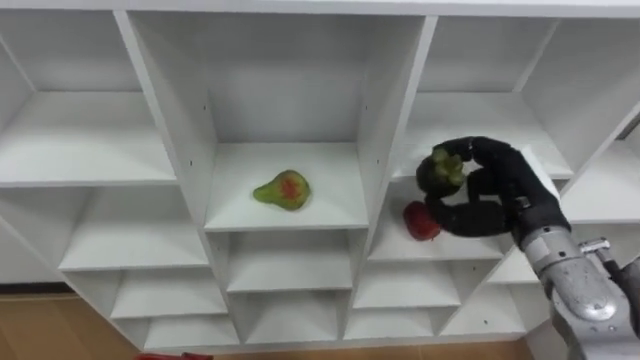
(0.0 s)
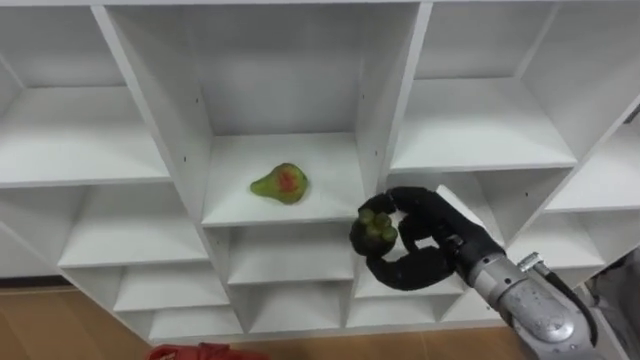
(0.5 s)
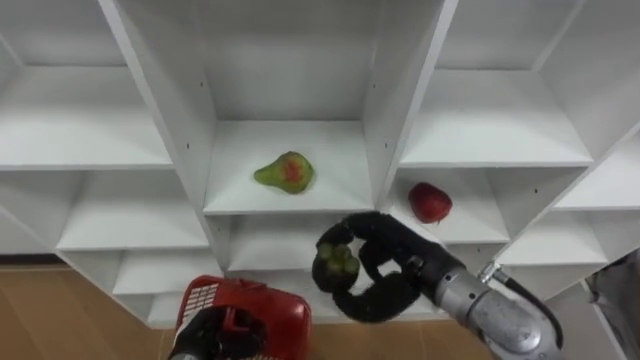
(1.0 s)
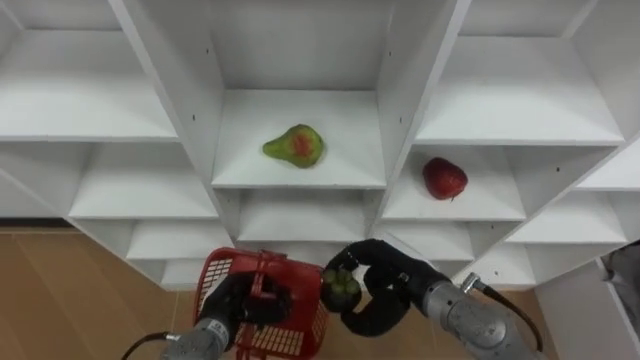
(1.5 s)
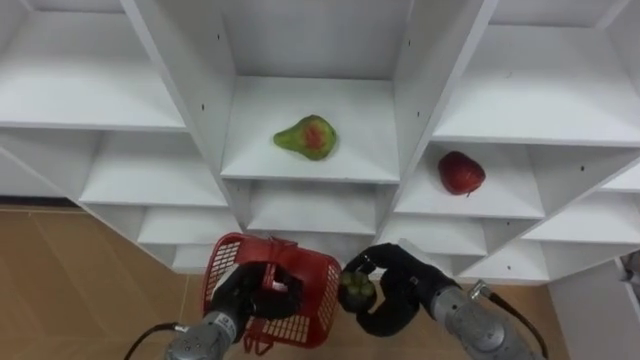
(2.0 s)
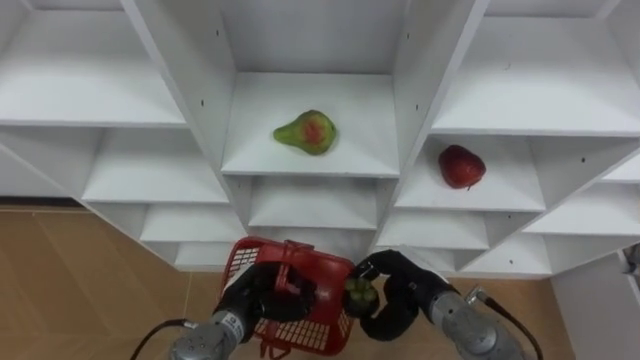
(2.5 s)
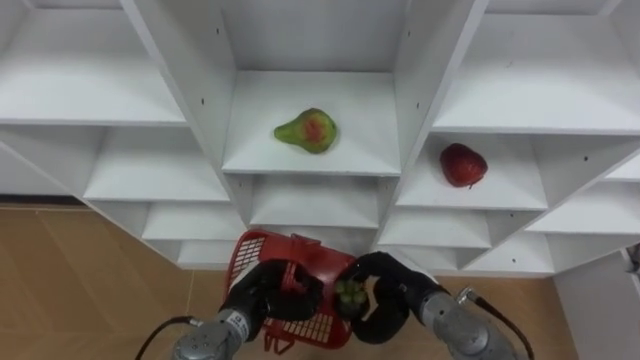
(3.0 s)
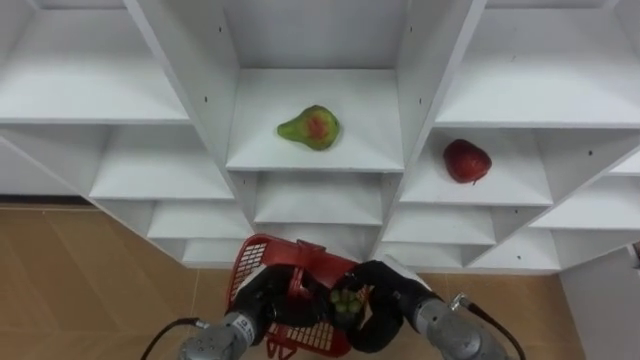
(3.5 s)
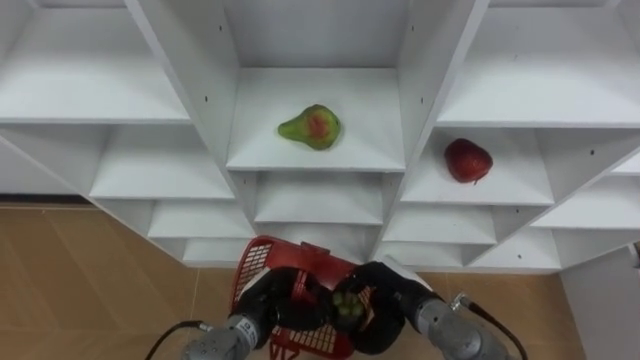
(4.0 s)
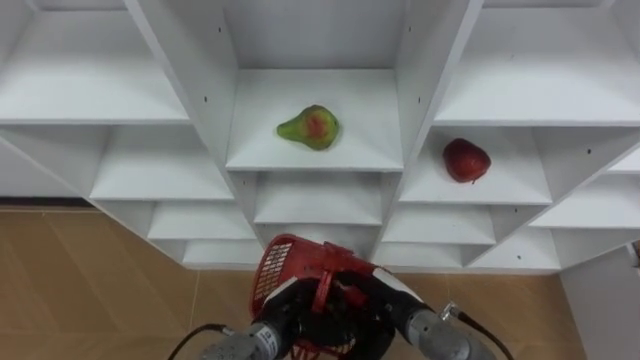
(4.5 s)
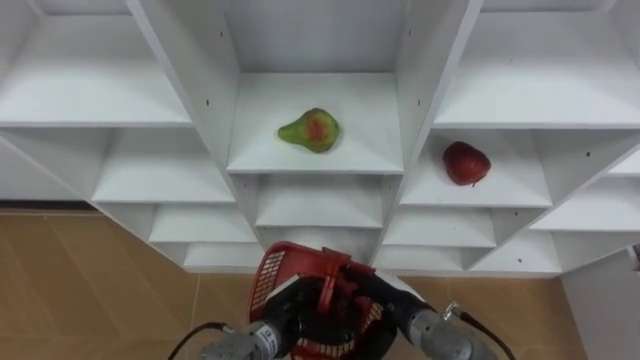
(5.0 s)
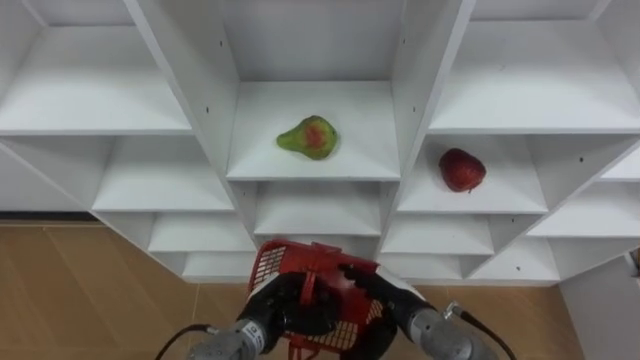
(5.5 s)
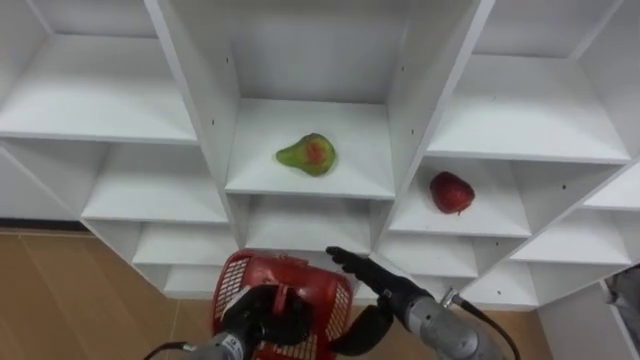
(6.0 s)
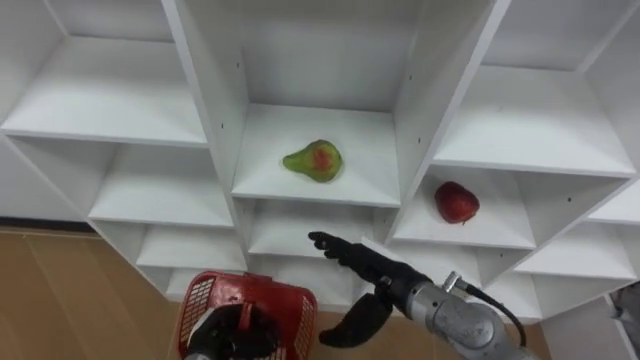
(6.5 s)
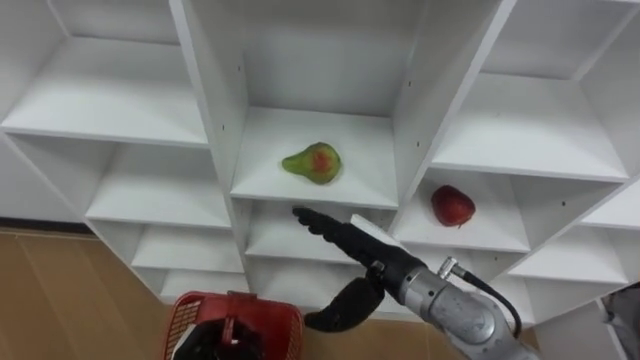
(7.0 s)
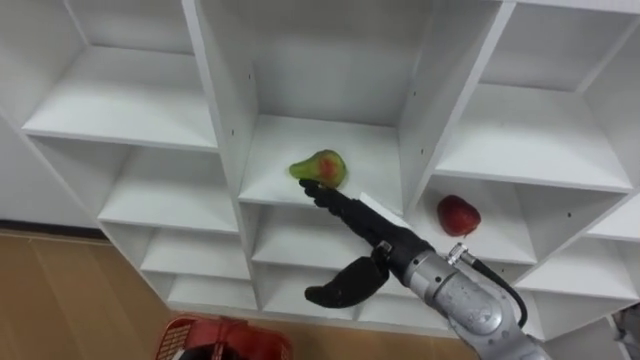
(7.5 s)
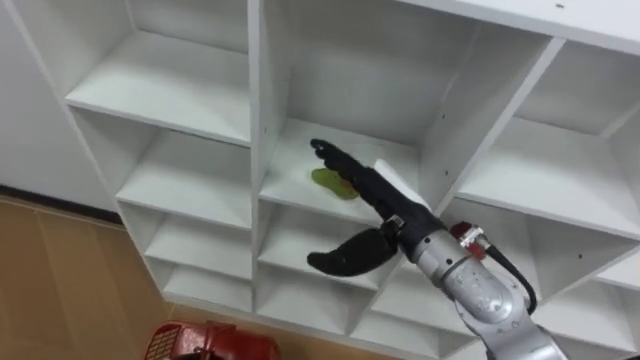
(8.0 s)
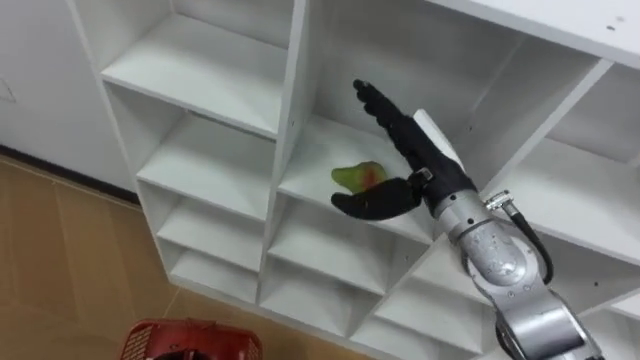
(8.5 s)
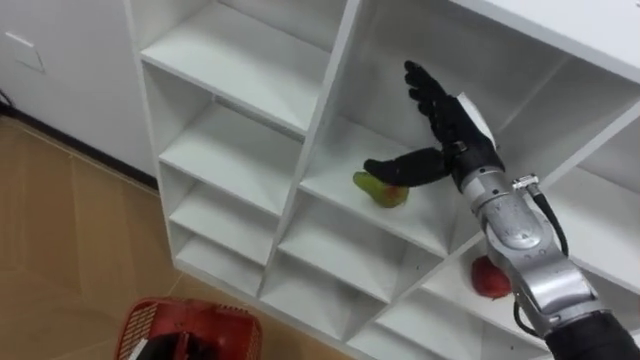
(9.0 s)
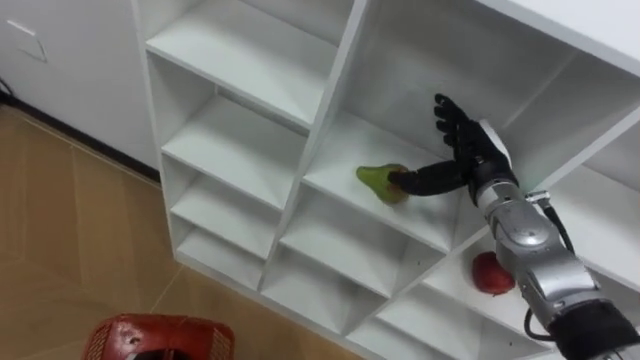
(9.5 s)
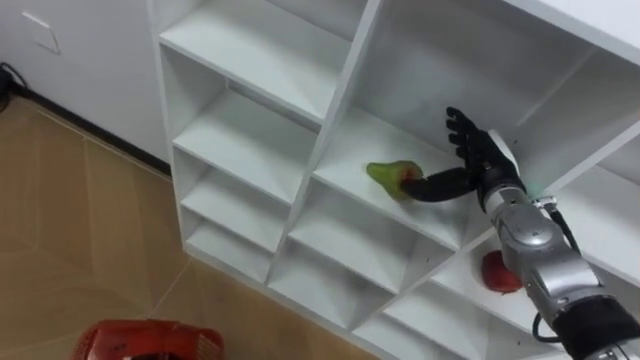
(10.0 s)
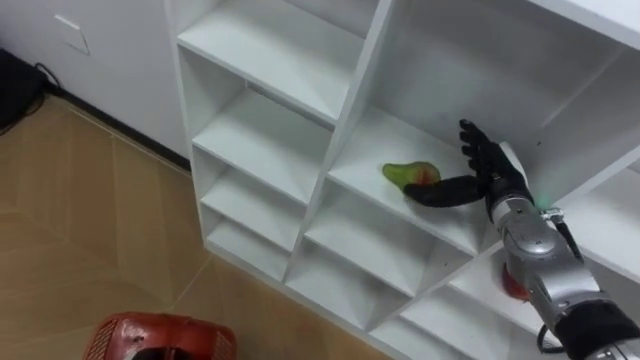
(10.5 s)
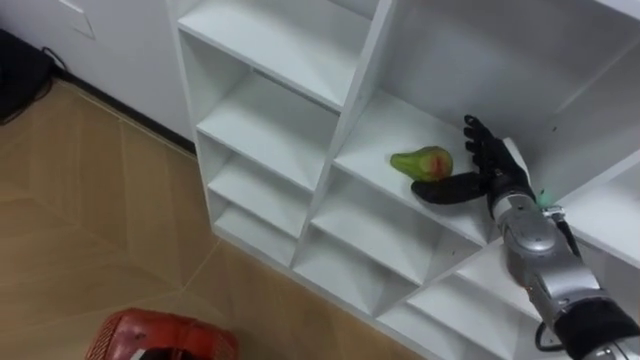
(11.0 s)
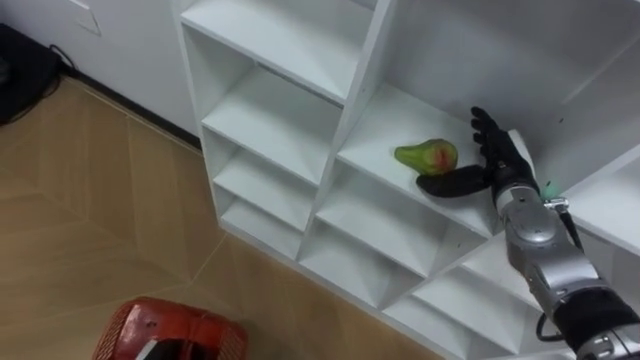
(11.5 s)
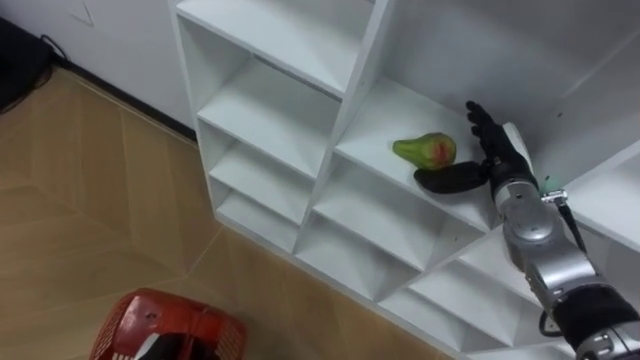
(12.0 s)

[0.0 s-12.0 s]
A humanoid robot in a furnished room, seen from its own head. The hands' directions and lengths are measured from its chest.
Task of the whole recording: Hold the basket and collect the fruits from 3 different cells of the closet into it.
0.0 to 2.0 s: The right hand moves downward and to the left, some 15 cm.
4.0 to 6.0 s: The right hand opens.
6.0 to 8.0 s: The right hand moves upward, roughly 15 cm.
8.0 to 10.0 s: The right hand shifts about 15 cm to the right and forward.

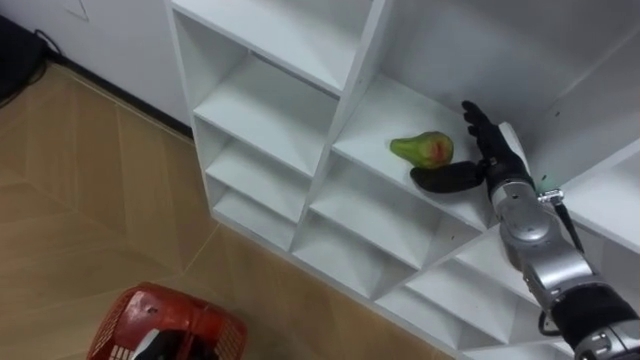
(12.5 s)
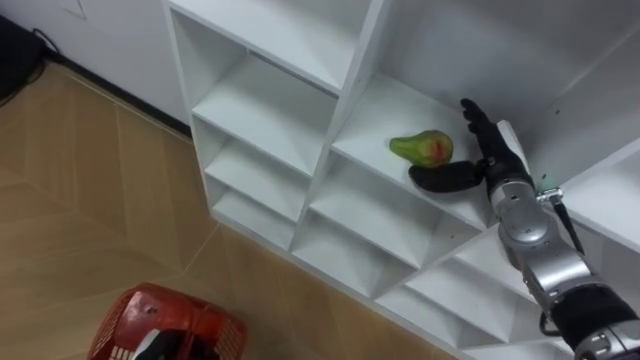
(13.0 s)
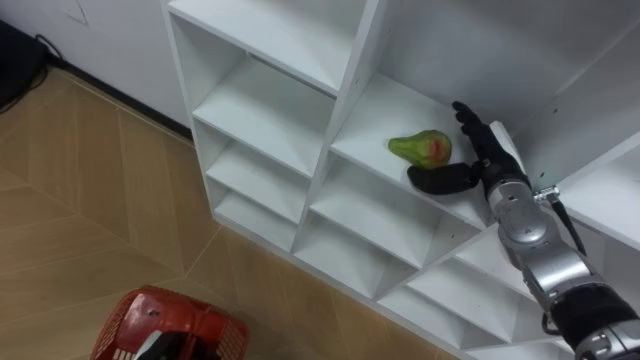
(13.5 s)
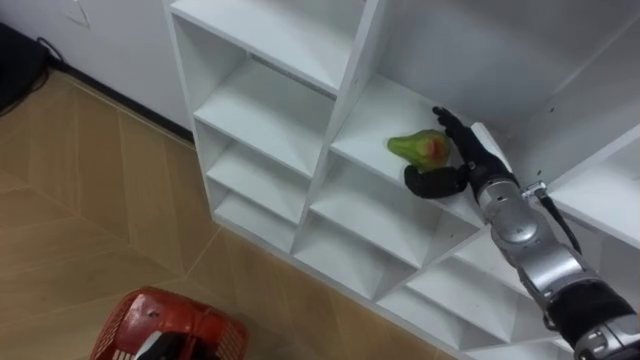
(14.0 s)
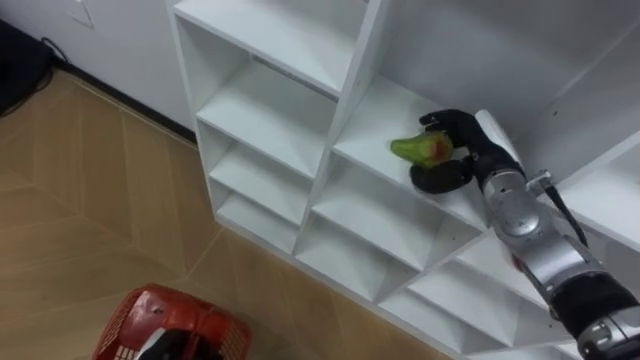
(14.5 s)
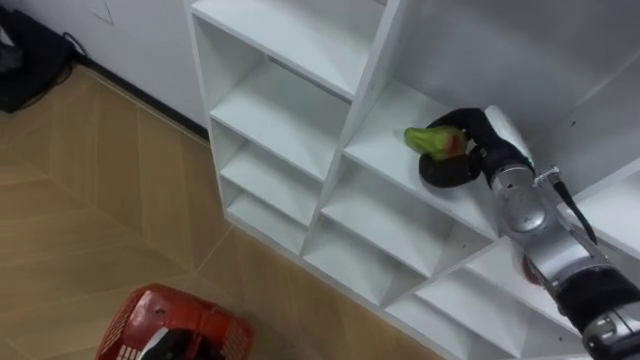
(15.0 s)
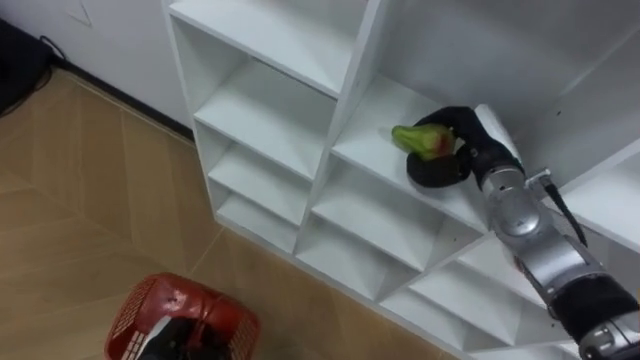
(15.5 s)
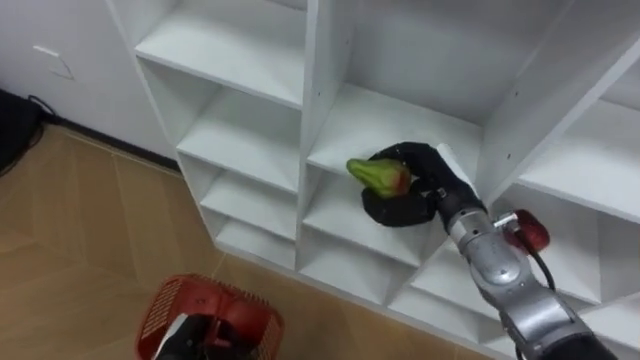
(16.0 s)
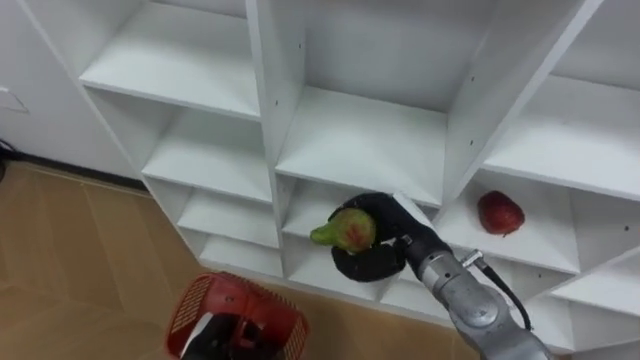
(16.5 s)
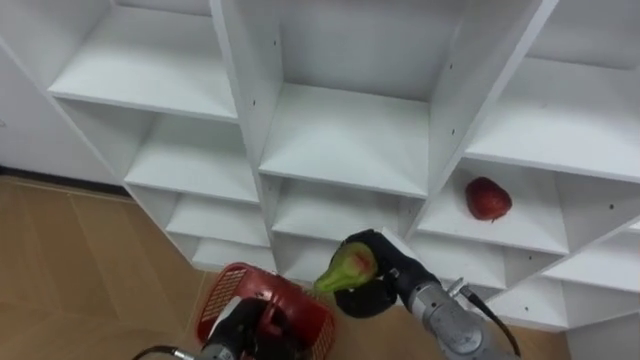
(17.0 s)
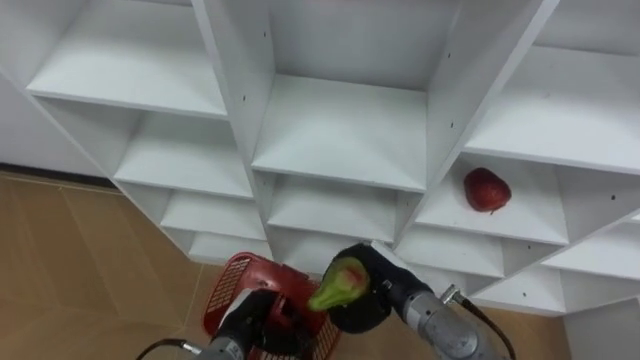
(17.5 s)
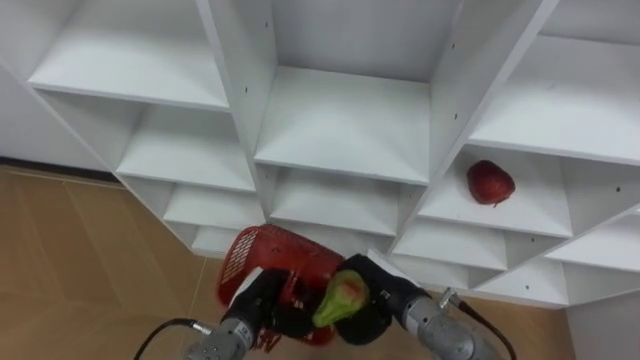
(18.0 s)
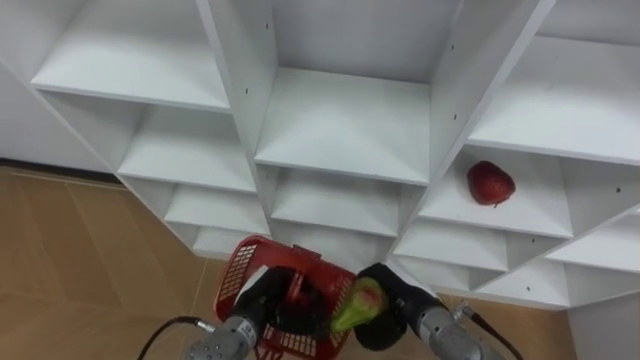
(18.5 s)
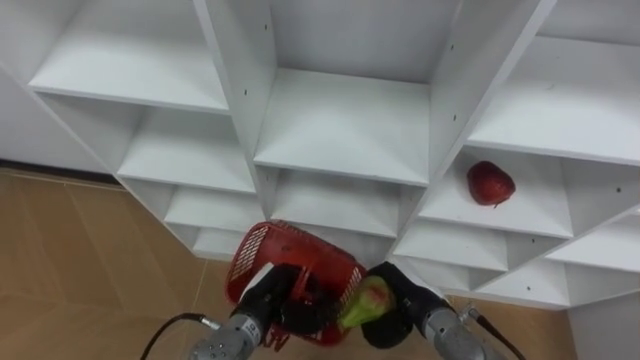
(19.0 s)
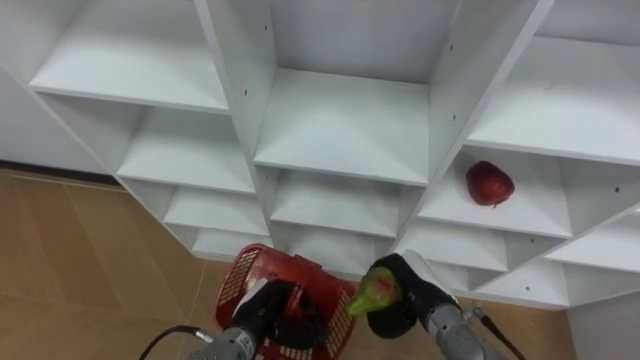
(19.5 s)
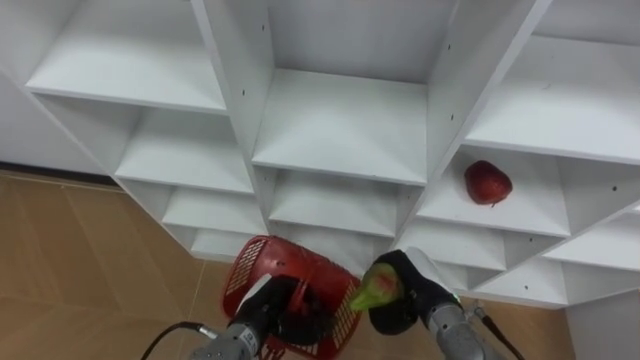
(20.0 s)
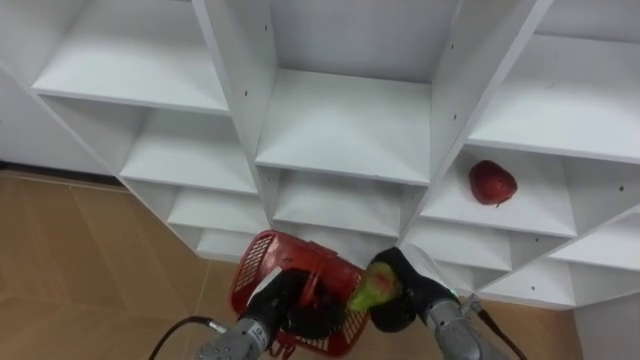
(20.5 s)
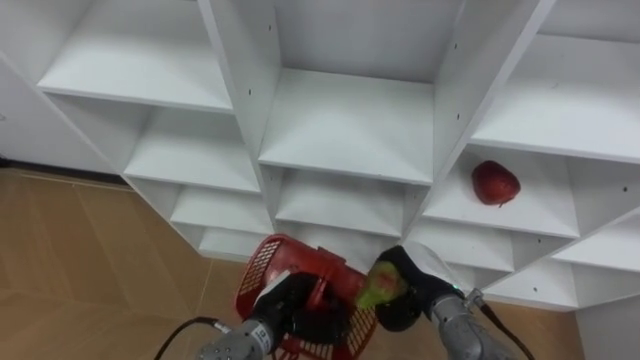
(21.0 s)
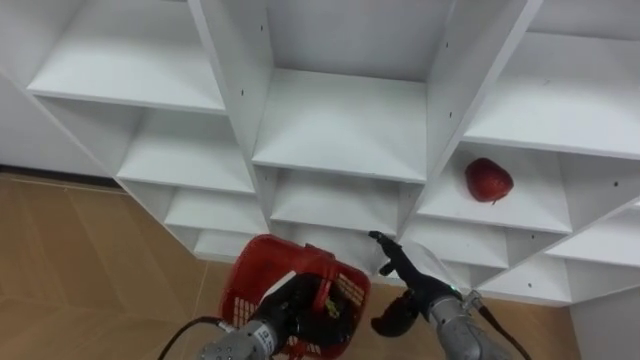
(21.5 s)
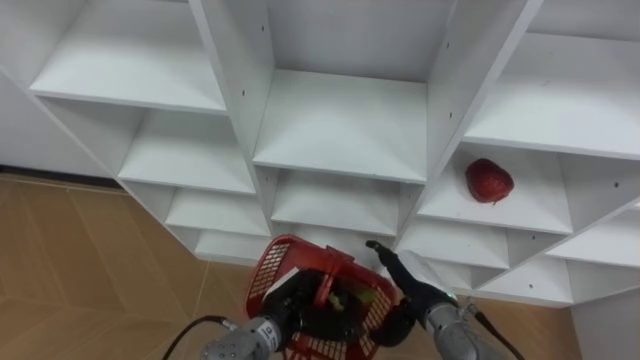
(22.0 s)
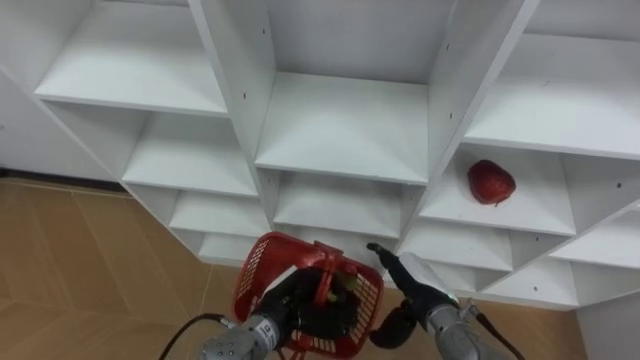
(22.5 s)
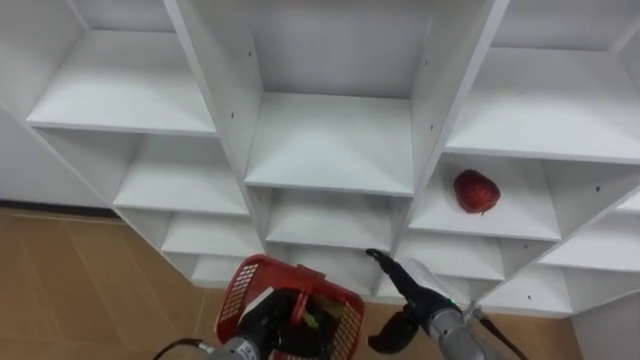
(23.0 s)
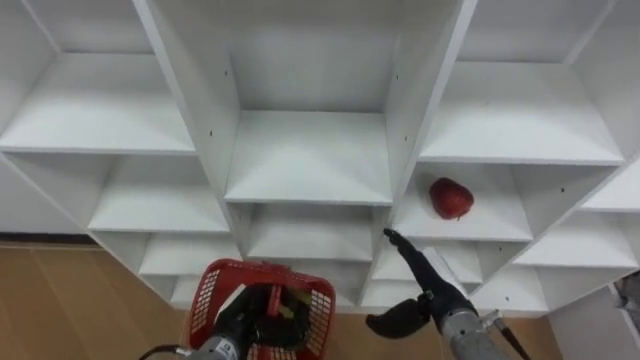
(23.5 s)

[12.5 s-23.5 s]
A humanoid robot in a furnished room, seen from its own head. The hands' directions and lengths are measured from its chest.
Task of the whole recording: Hold the basket and collect the fruits from 3 different cells of the closet into it.
14.5 to 16.0 s: The right hand changes place by approximately 5 cm, and closes up.
16.0 to 18.0 s: The left hand goes approximately 10 cm to the right and forward. The right hand goes about 15 cm downward, backward and to the left.
18.0 to 20.0 s: The right hand changes place by approximately 5 cm.
20.0 to 21.5 s: The right hand opens its fingers.
21.5 to 23.5 s: The left hand is displaced to the left by about 5 cm.
